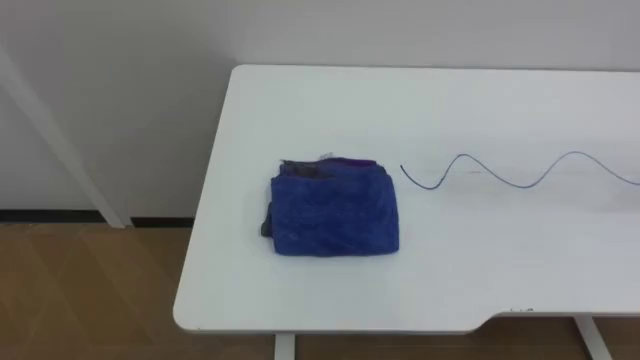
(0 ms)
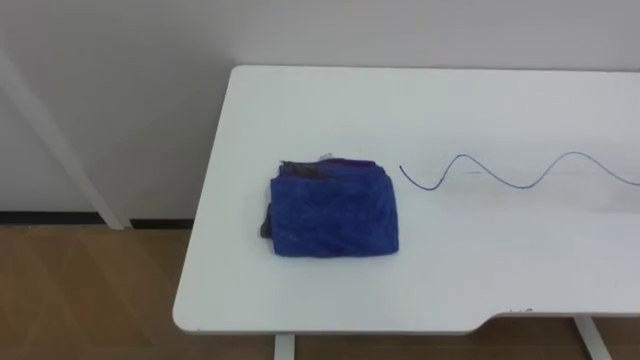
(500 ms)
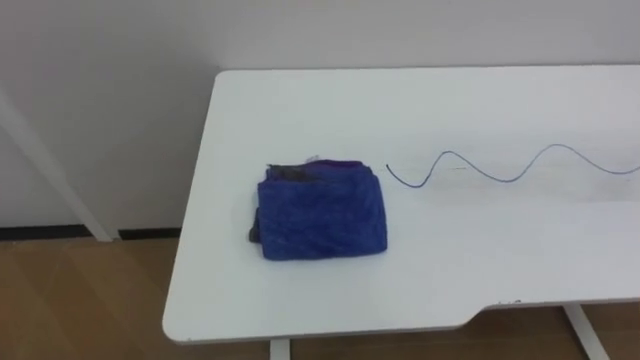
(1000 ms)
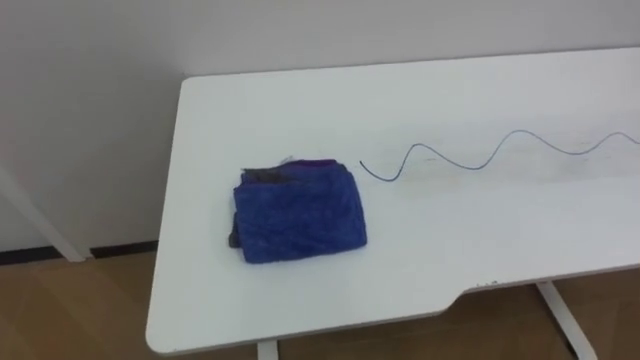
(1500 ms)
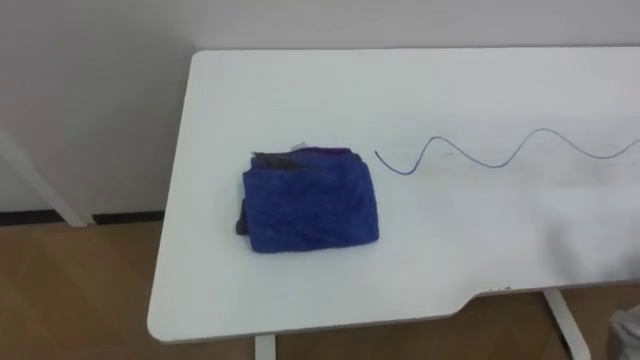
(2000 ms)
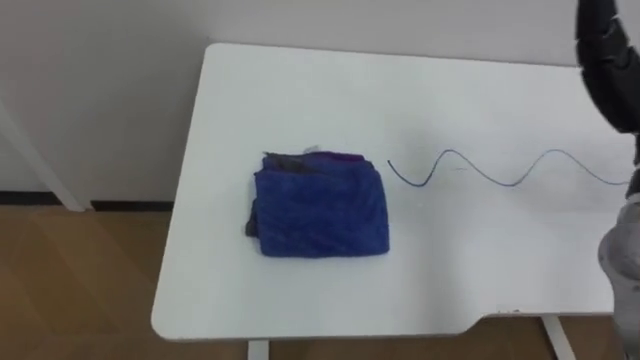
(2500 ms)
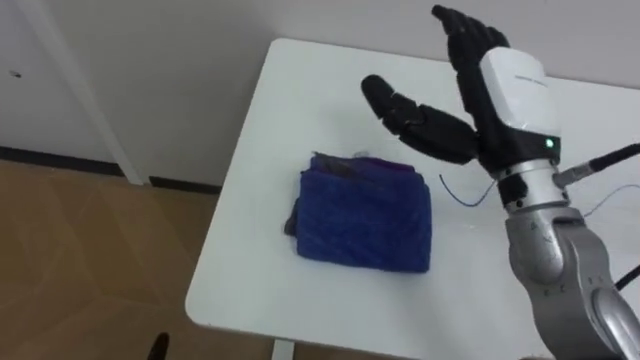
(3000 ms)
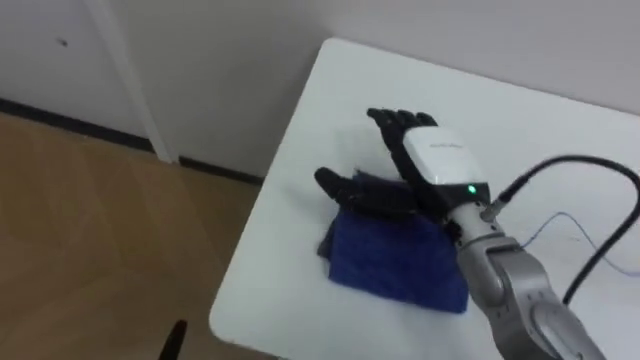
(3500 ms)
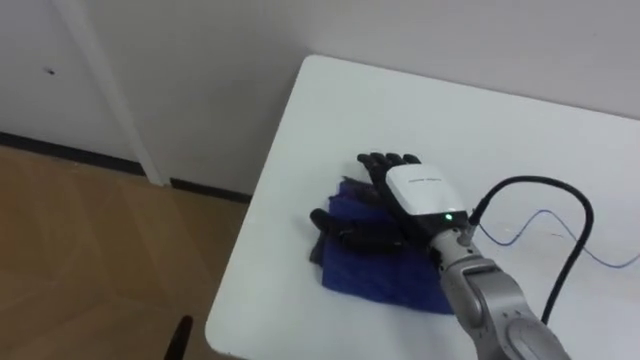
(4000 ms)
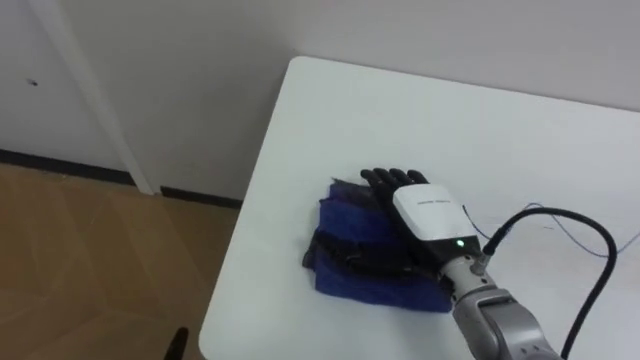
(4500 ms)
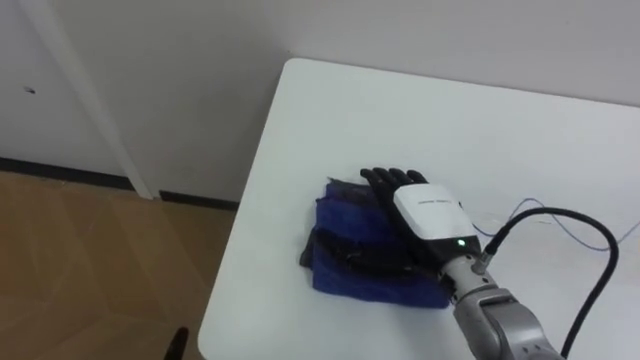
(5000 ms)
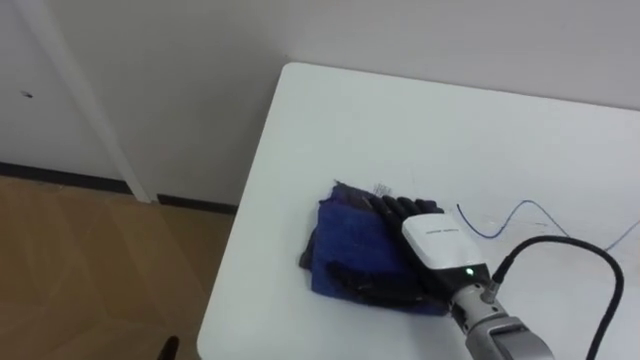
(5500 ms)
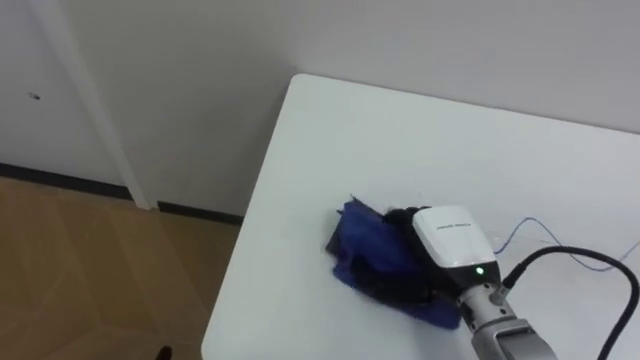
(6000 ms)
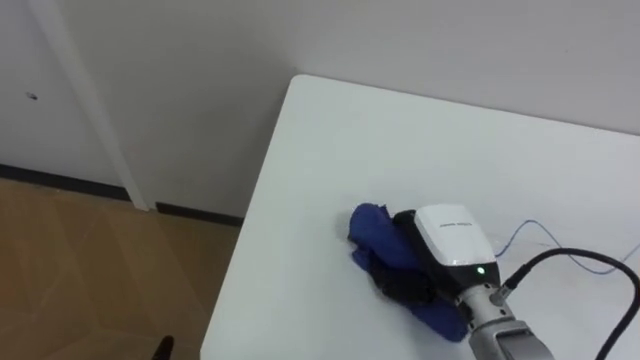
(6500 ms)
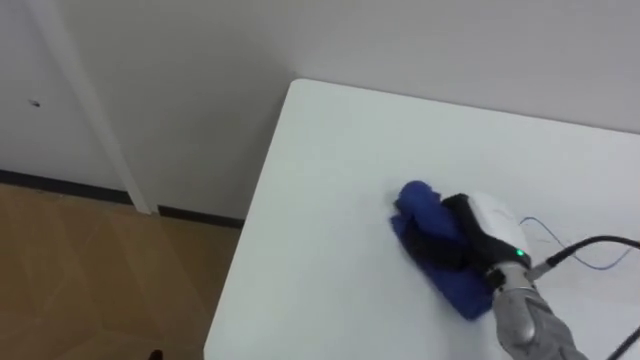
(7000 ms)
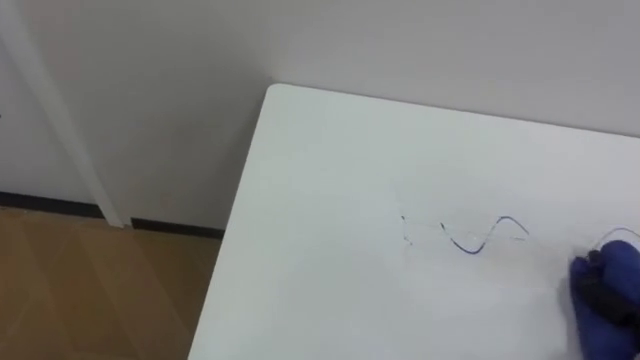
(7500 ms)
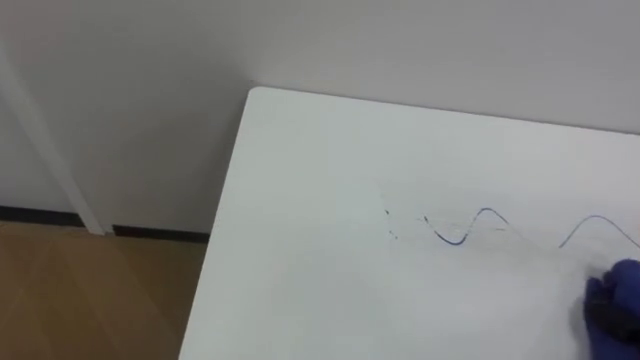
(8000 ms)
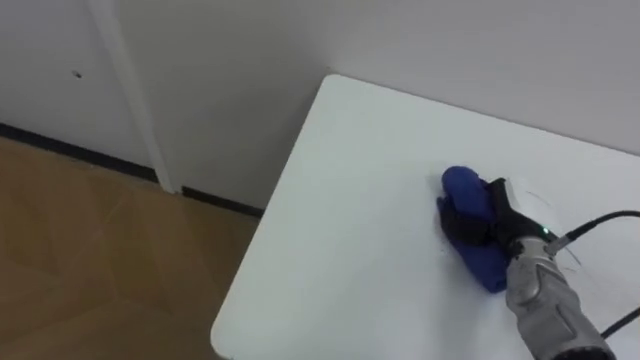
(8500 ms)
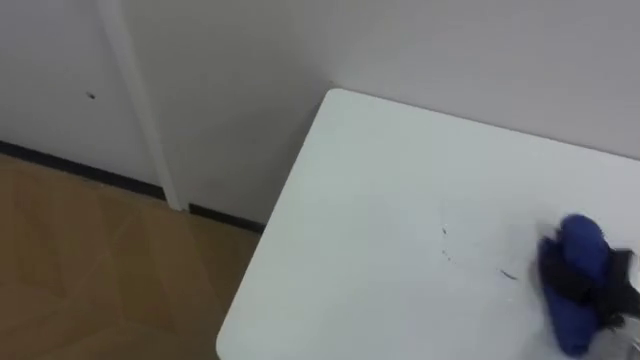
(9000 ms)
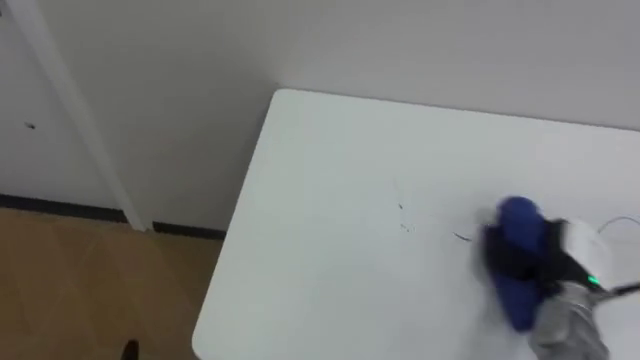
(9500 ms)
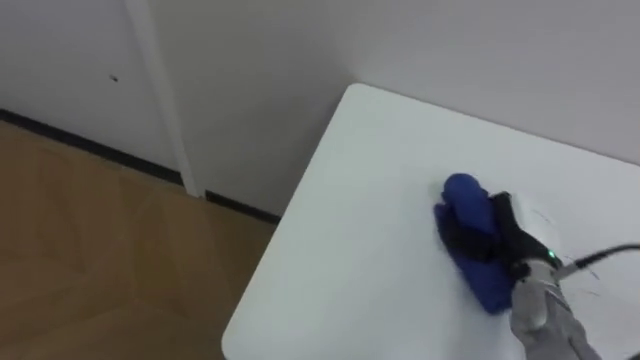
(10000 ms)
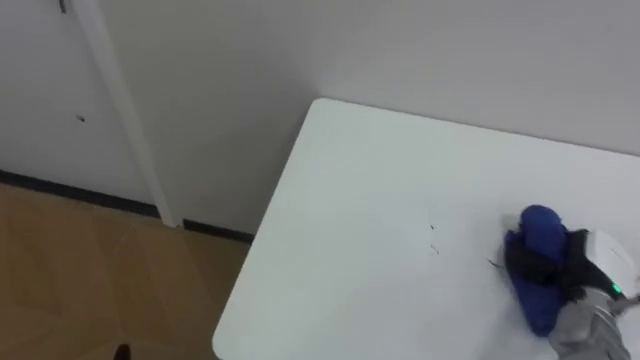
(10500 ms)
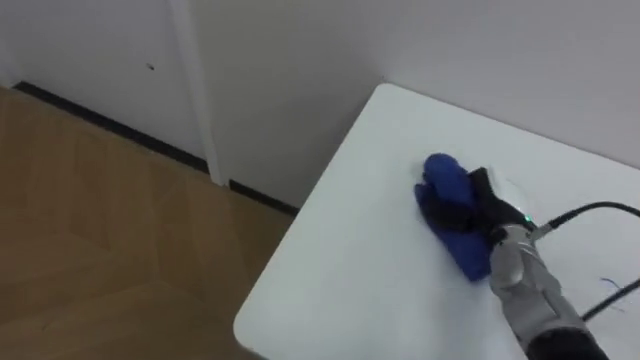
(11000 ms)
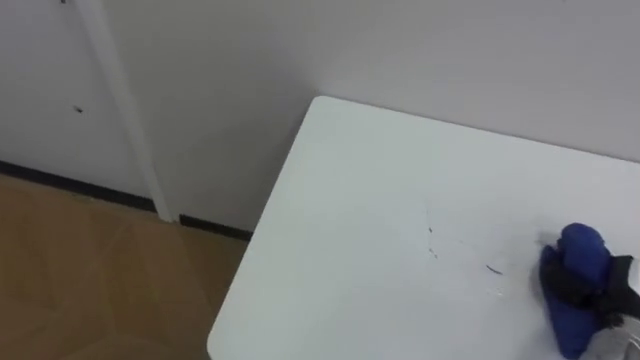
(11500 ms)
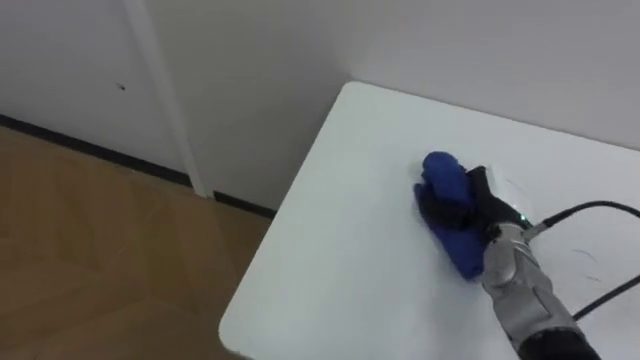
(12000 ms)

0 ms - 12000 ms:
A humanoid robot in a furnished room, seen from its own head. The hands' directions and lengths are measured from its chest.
Task of the whole recording: Wipe the blue pen marks off the table with the rag.
4000 ms - 6000 ms: The right hand travels backward by about 5 cm.
10000 ms - 12000 ms: The right hand swings left and right, roughly 15 cm each way, with 3 reversals.

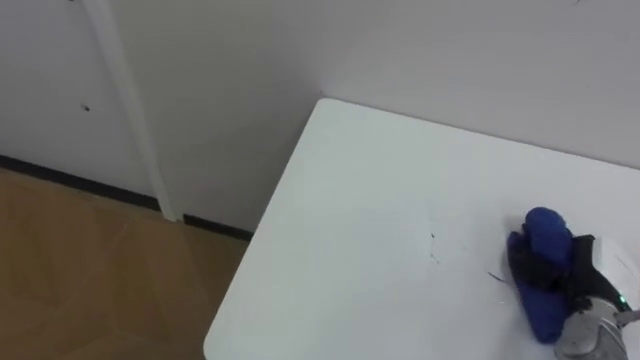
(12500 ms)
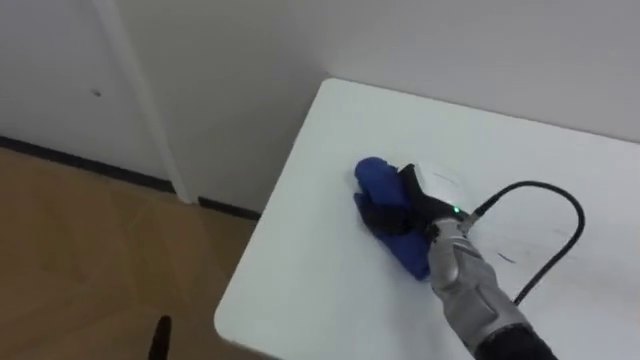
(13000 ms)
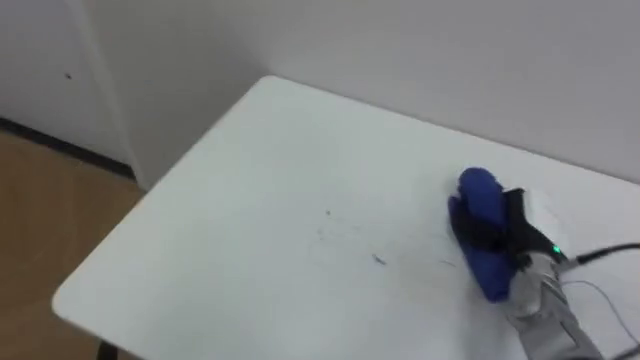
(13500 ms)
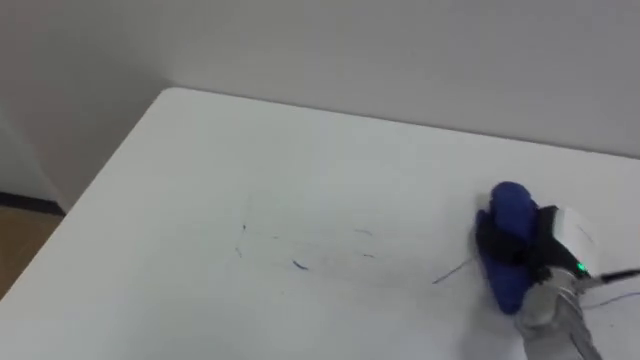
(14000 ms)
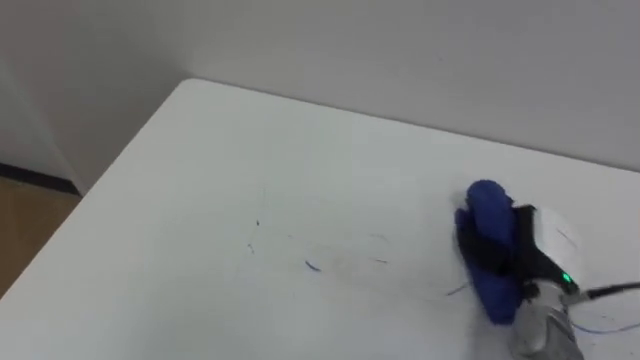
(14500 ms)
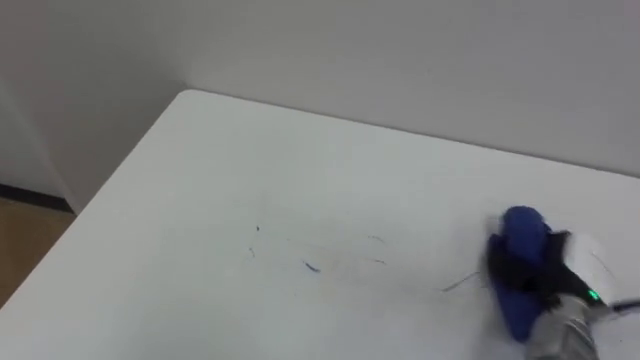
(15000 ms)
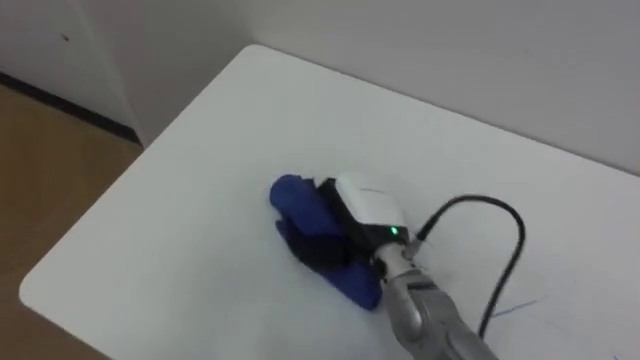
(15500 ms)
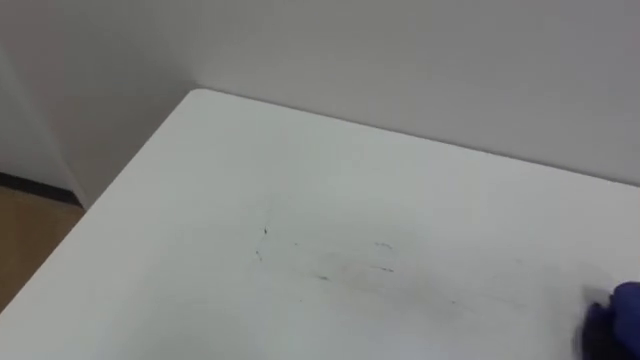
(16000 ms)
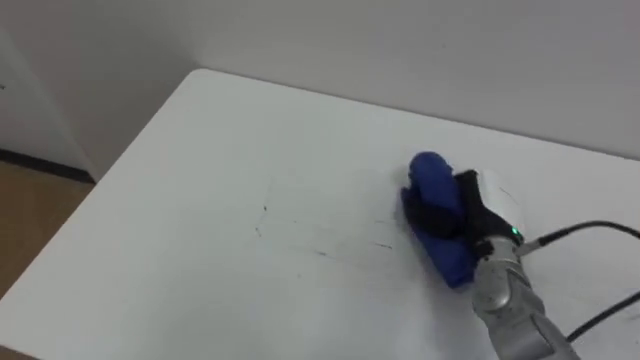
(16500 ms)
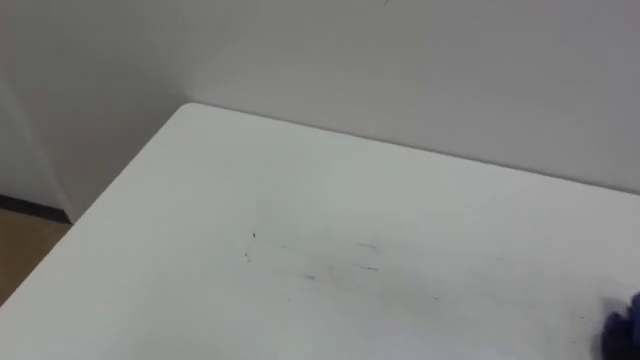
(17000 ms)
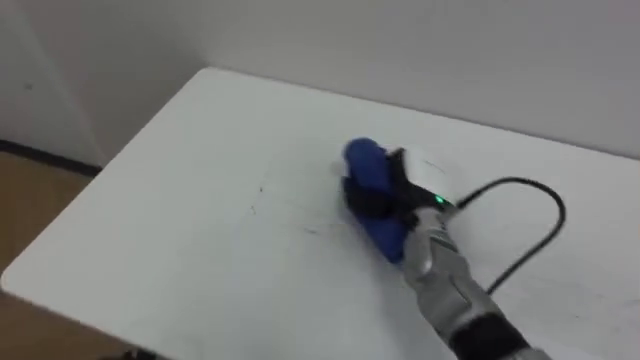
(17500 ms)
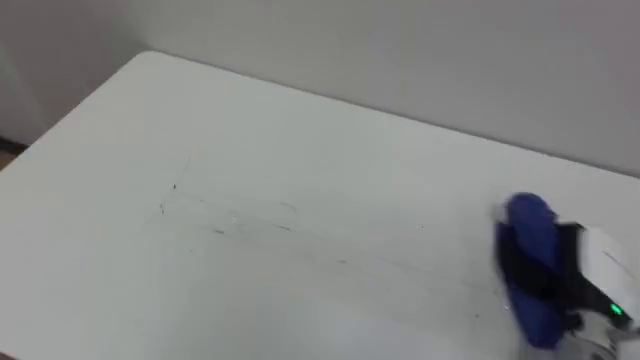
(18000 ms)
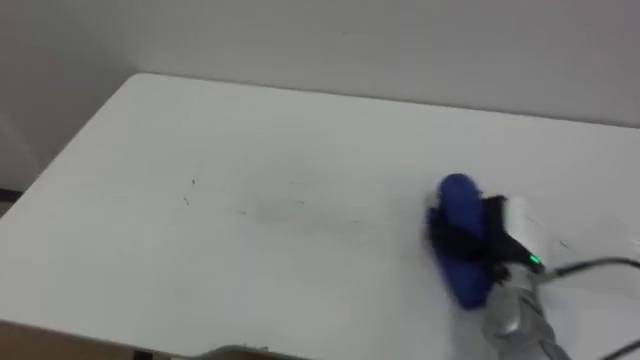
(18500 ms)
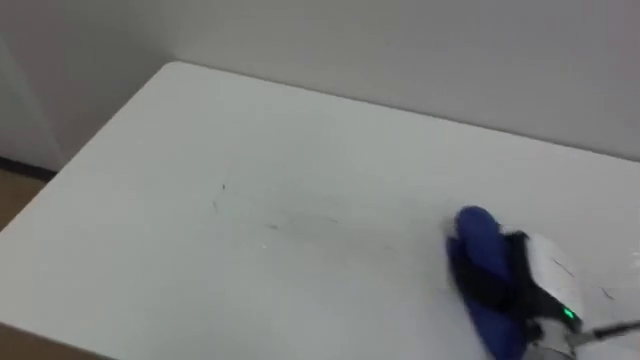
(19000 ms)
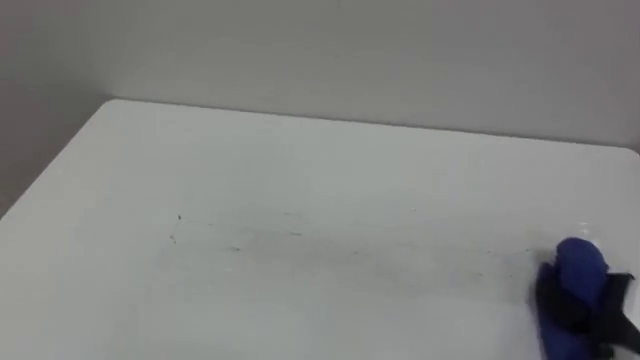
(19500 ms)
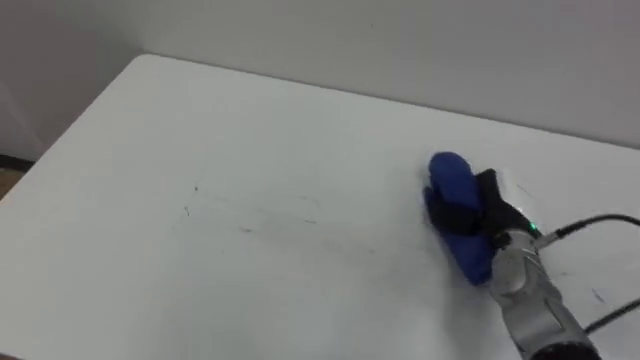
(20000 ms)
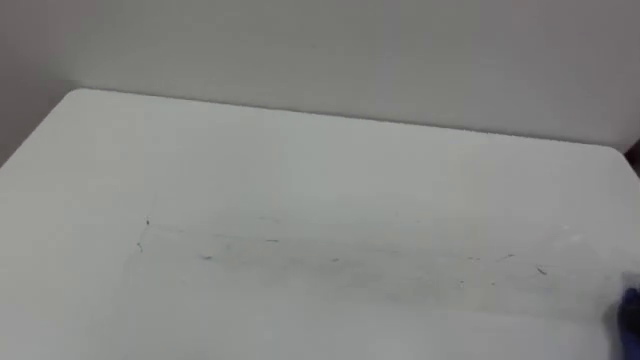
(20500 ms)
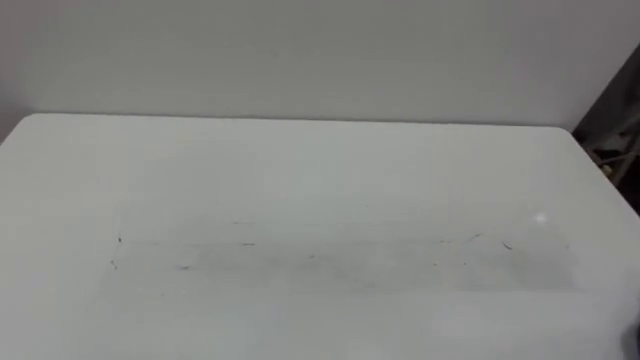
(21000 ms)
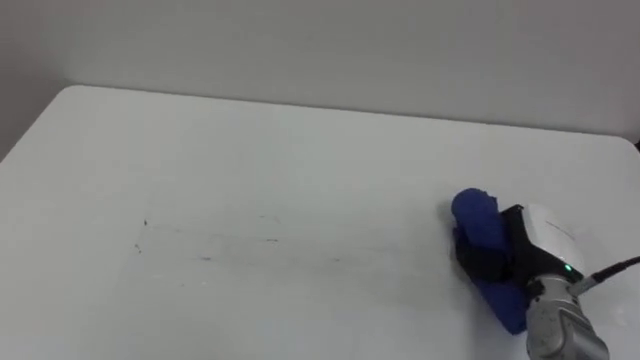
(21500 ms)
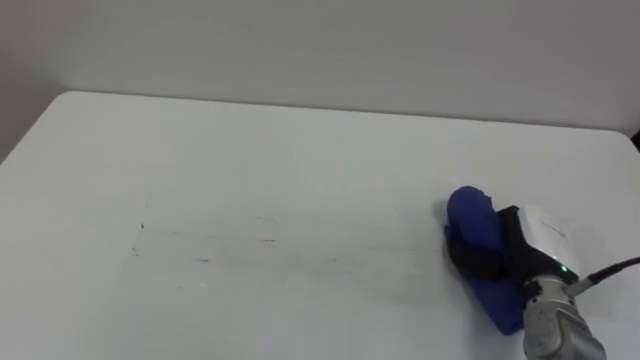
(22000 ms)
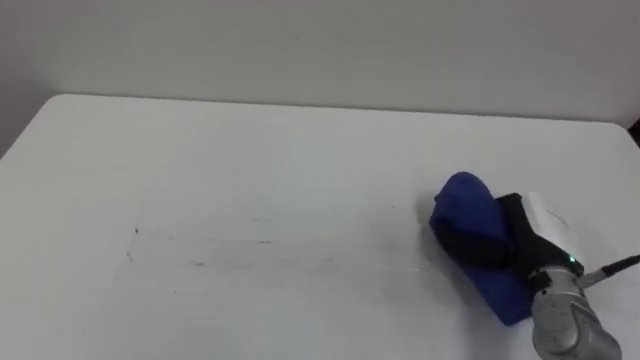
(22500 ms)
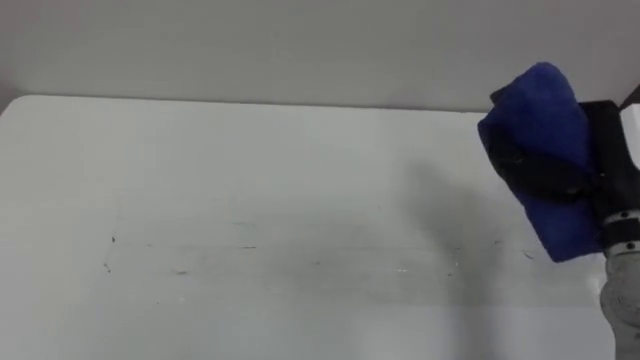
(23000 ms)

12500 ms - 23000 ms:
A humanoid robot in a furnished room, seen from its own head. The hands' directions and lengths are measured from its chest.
Task of the whole recording: Wipe the blue pen marks off the table with the rag.
12500 ms - 14500 ms: The right hand reaches roughly 20 cm to the left, then returns.
